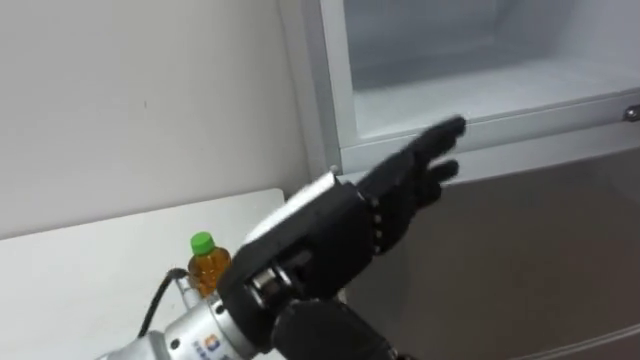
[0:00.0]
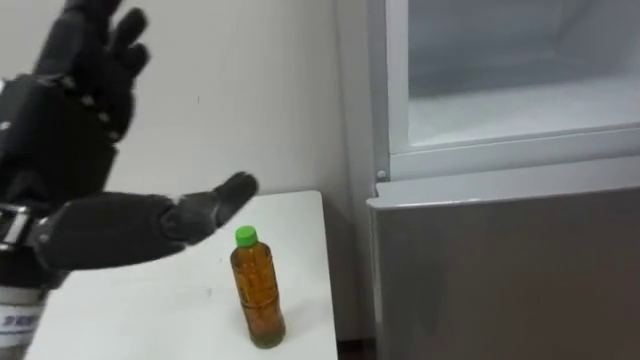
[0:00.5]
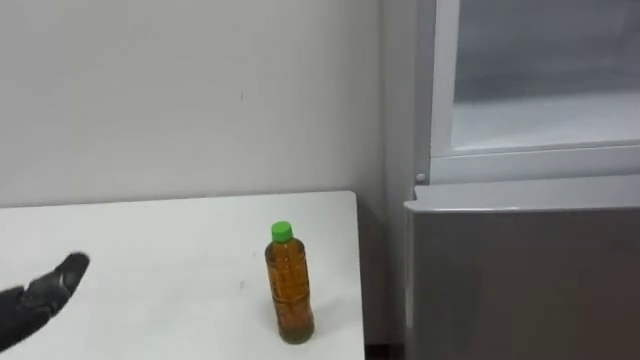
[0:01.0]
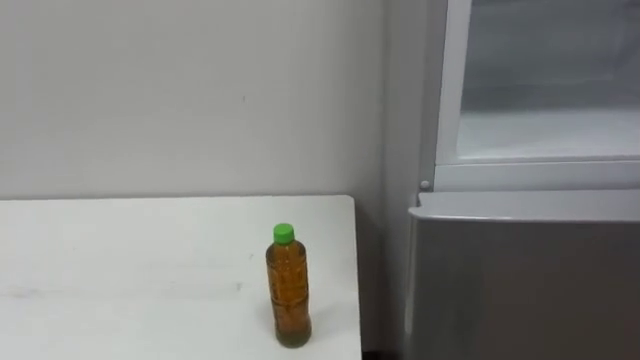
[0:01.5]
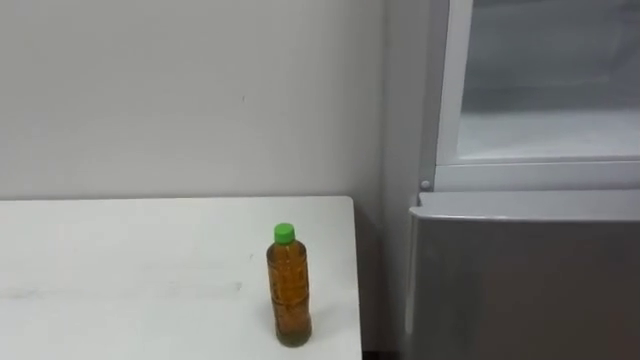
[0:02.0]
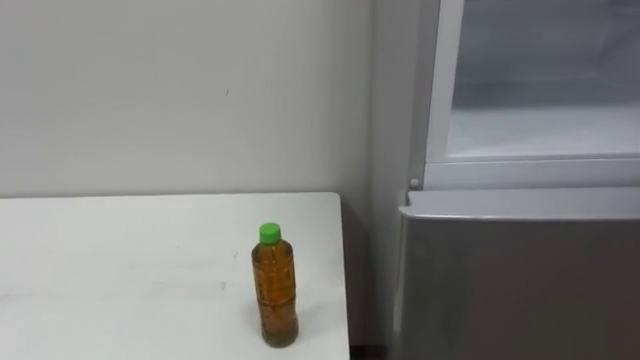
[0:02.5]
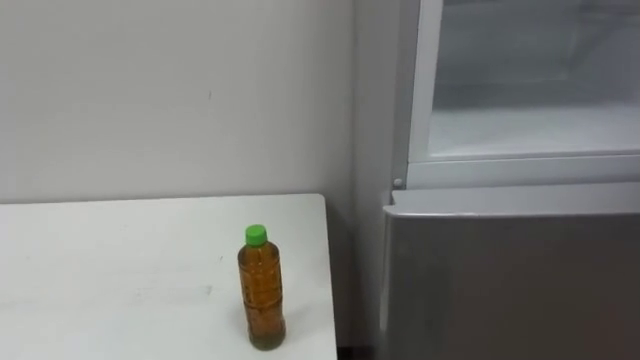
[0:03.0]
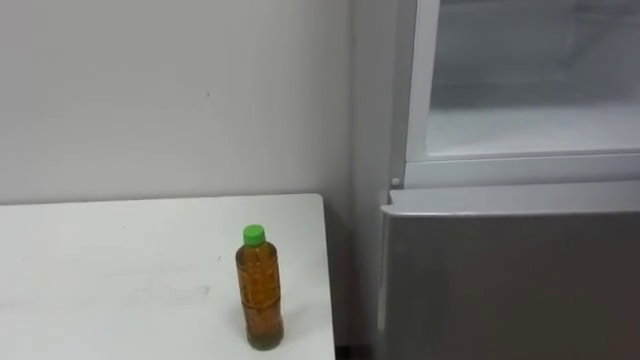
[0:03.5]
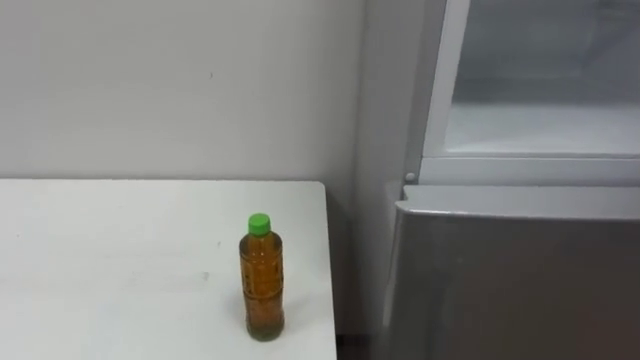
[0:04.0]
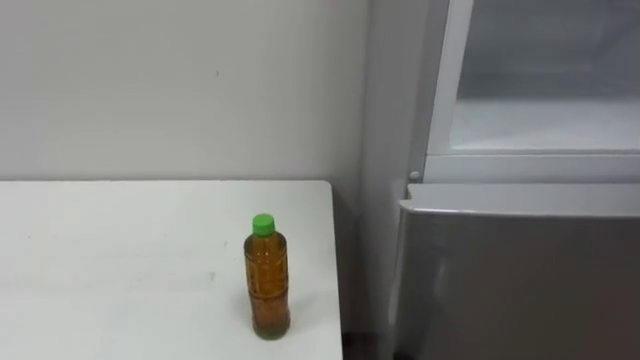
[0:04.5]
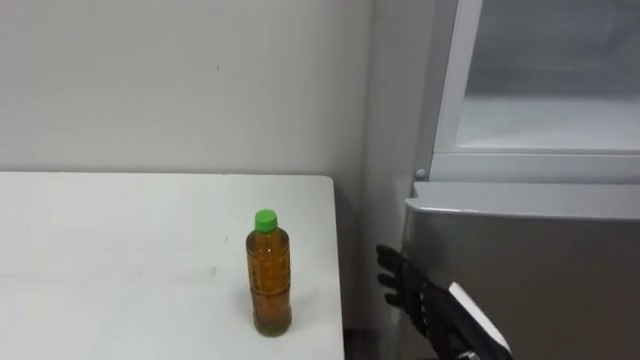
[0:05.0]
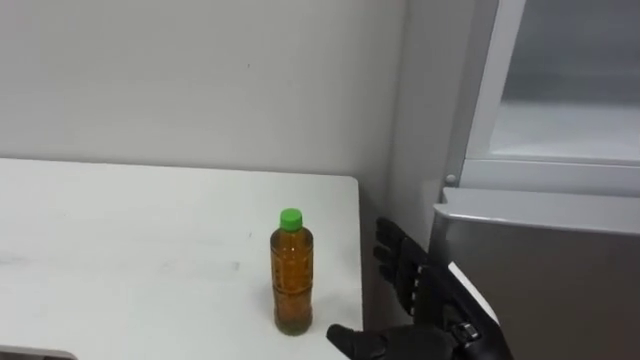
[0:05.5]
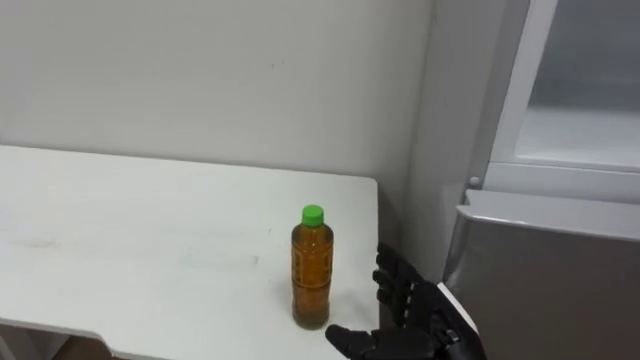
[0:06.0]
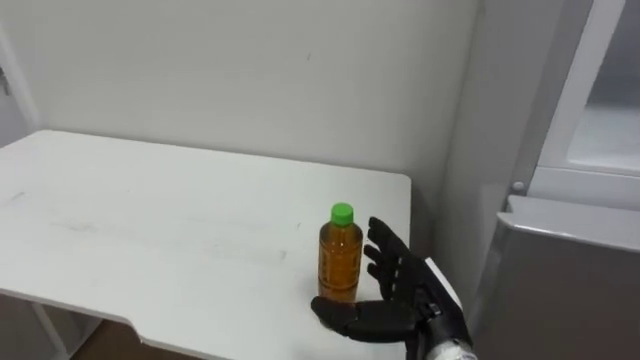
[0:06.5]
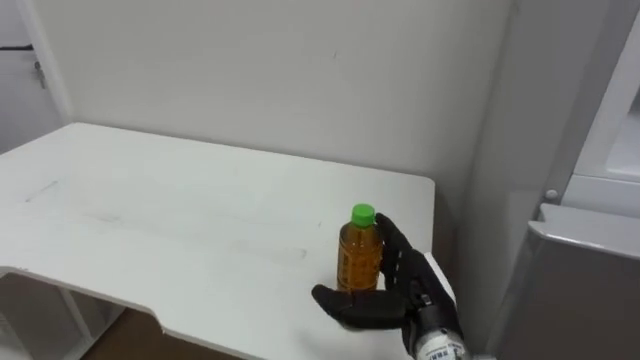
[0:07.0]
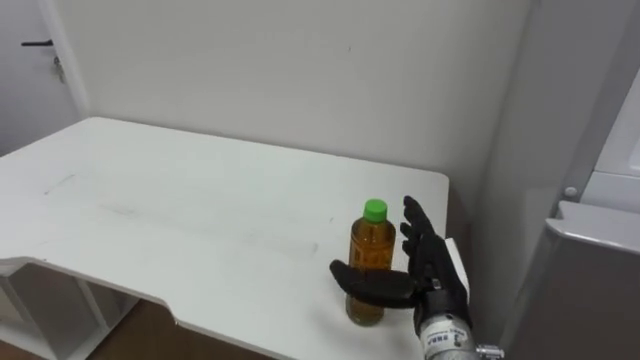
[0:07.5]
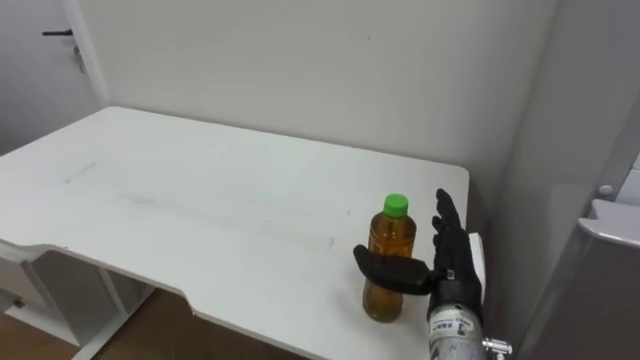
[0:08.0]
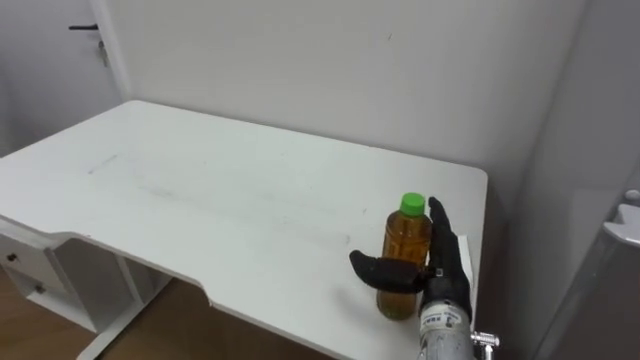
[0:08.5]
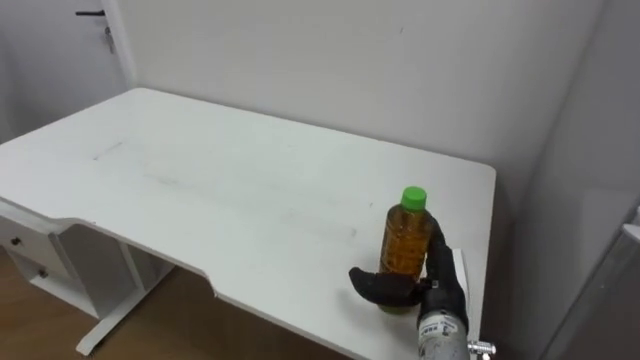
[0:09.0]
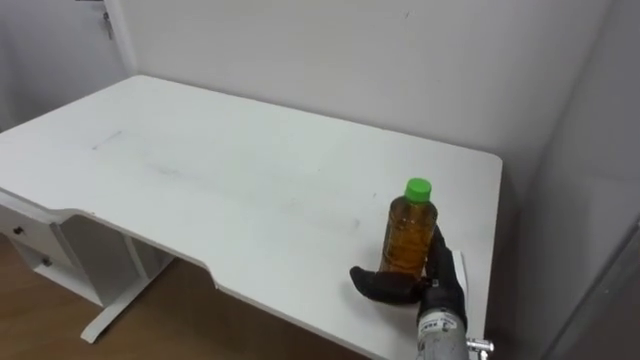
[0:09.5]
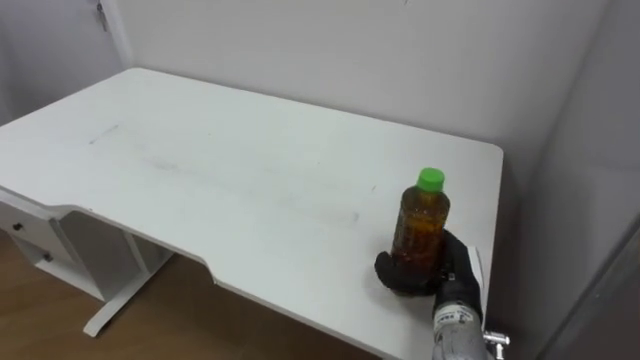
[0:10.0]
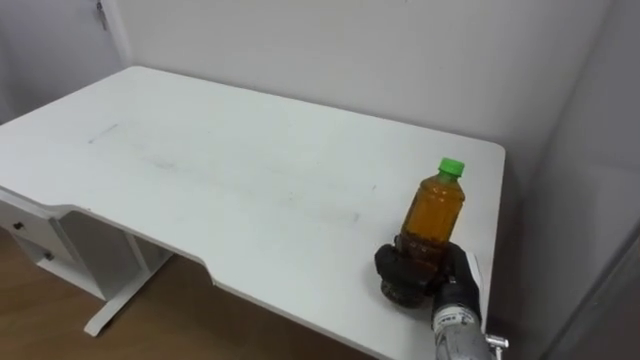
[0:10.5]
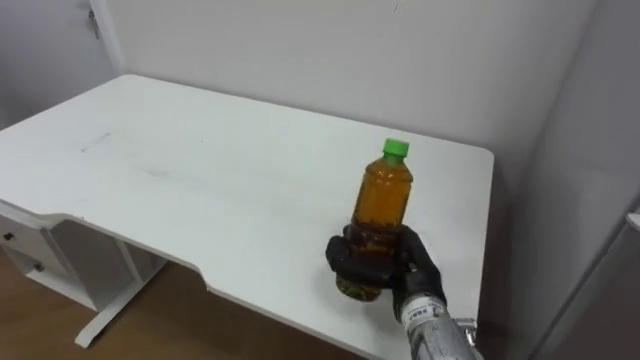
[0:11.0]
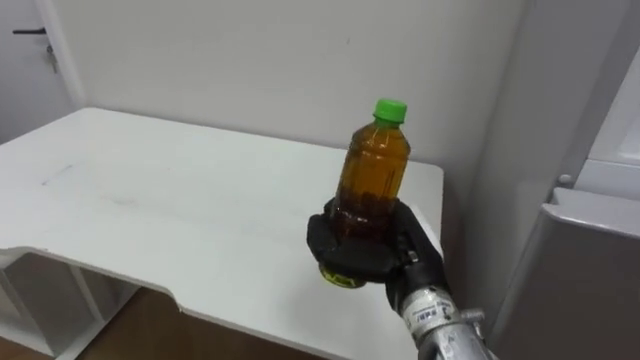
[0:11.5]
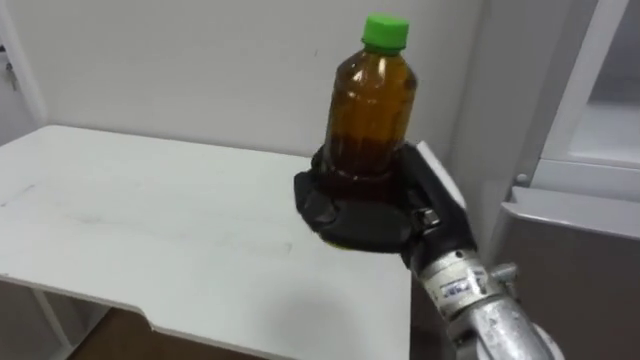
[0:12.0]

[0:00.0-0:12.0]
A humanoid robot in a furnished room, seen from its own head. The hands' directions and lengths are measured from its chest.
Task of the whole recording: Open the upper refrigerator door, put the drink from the table into the refrigerator, and then close the refrigerator door.
0:06.0 to 0:08.0: The right hand shifts by approximately 5 cm.
0:08.0 to 0:10.0: The right hand changes place by approximately 5 cm.
0:10.0 to 0:12.0: The right hand moves upward and to the left, roughly 20 cm, and closes.

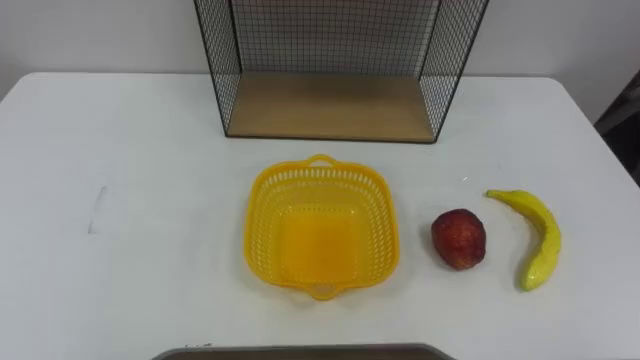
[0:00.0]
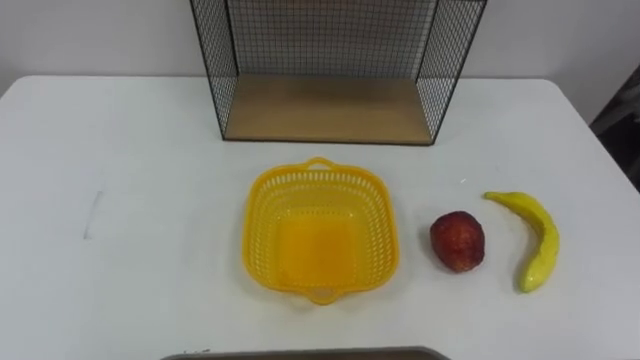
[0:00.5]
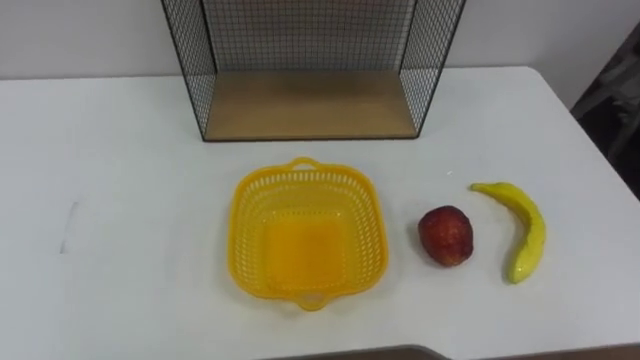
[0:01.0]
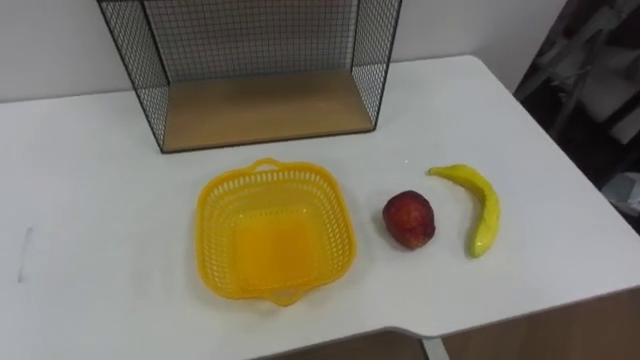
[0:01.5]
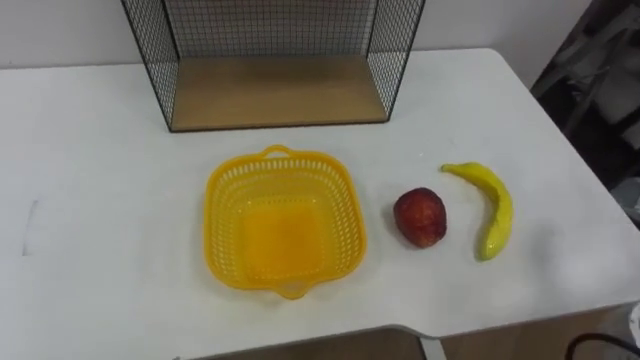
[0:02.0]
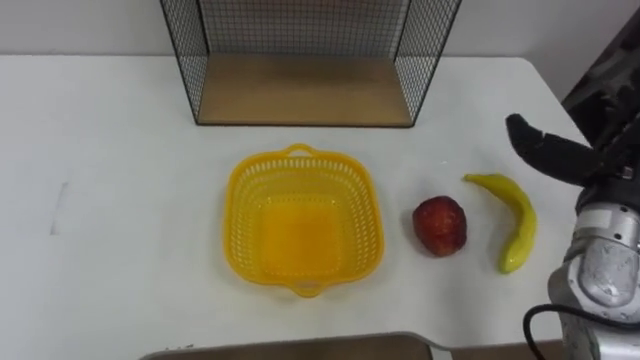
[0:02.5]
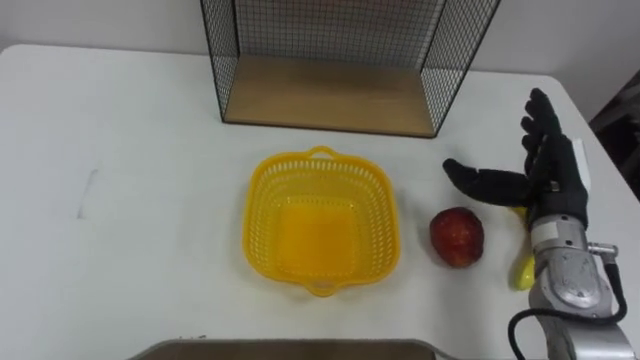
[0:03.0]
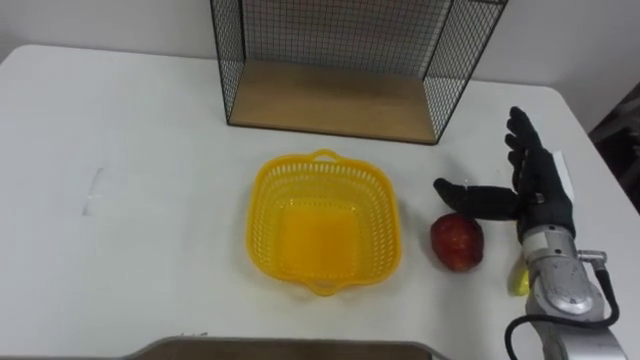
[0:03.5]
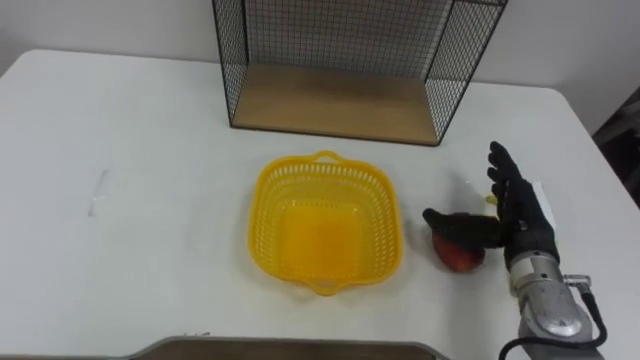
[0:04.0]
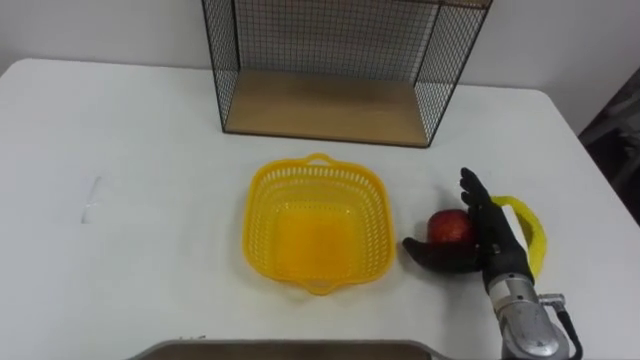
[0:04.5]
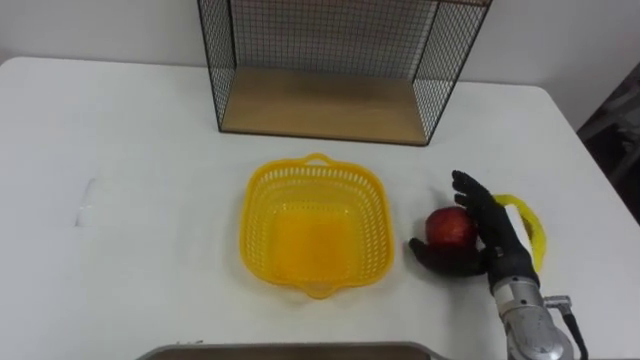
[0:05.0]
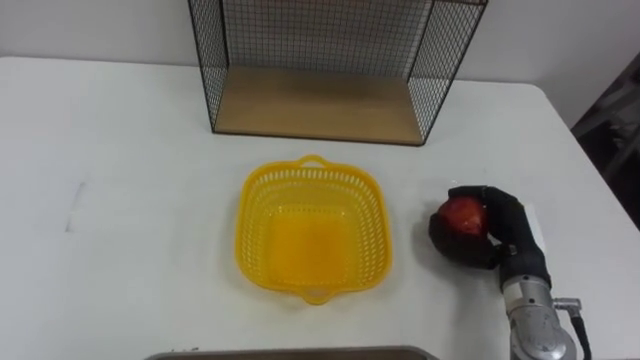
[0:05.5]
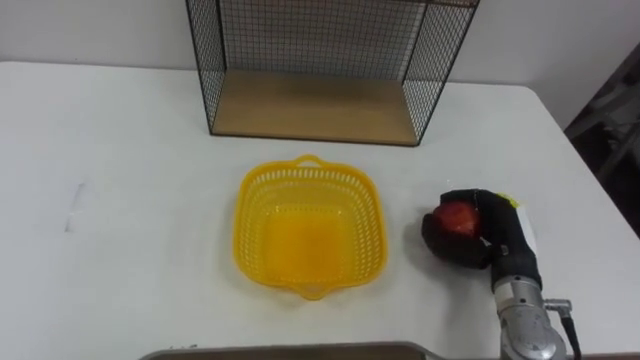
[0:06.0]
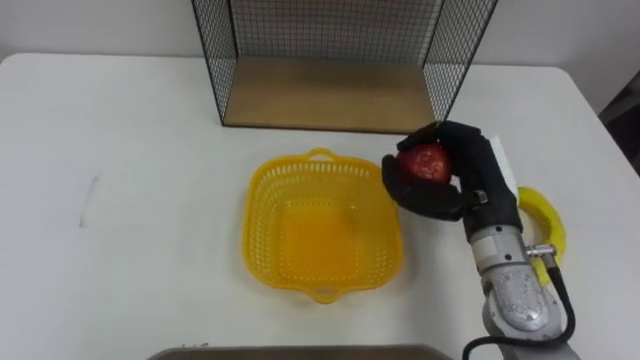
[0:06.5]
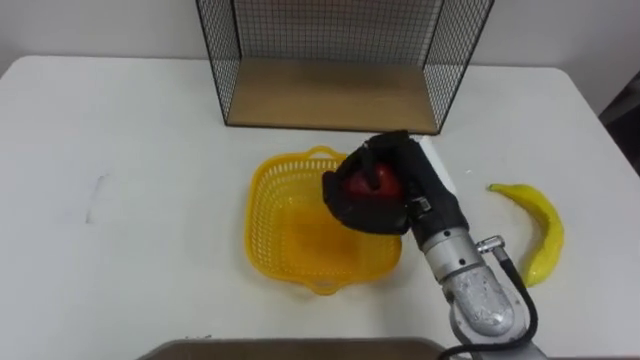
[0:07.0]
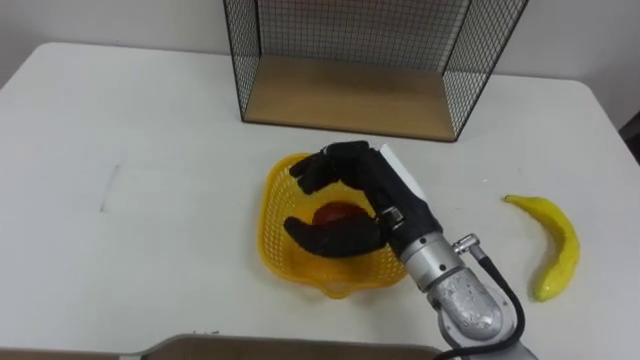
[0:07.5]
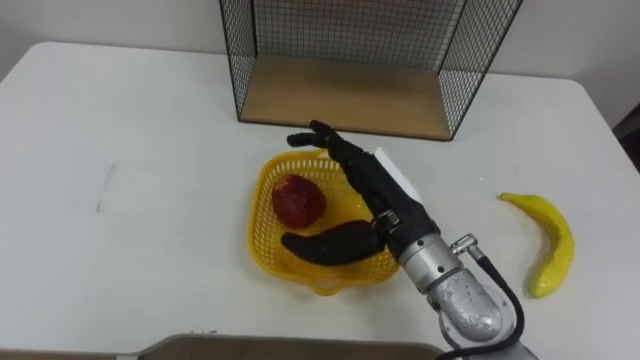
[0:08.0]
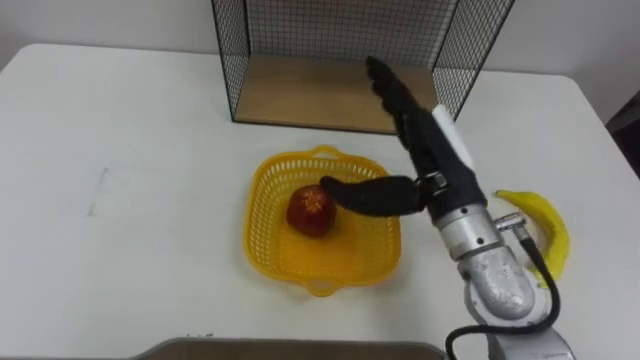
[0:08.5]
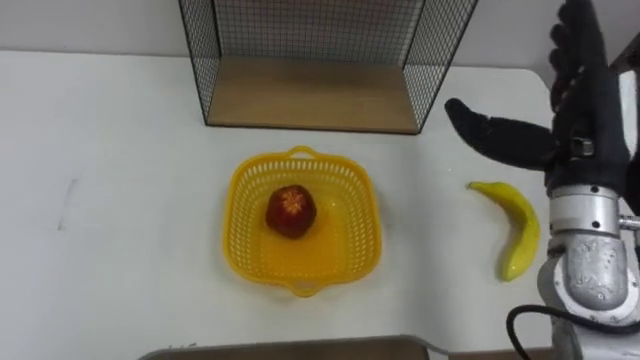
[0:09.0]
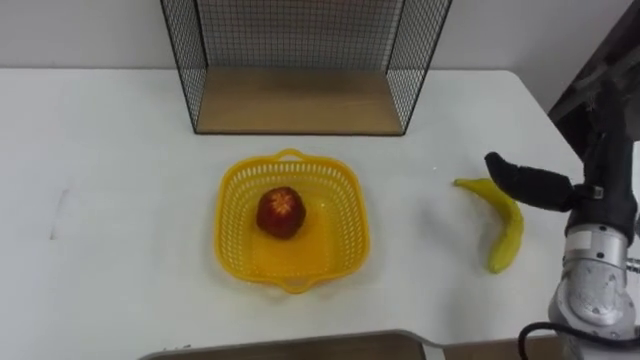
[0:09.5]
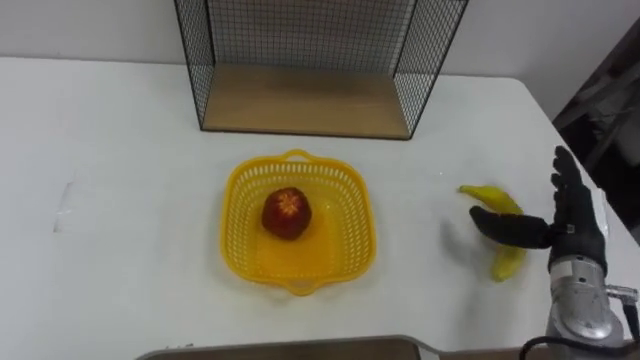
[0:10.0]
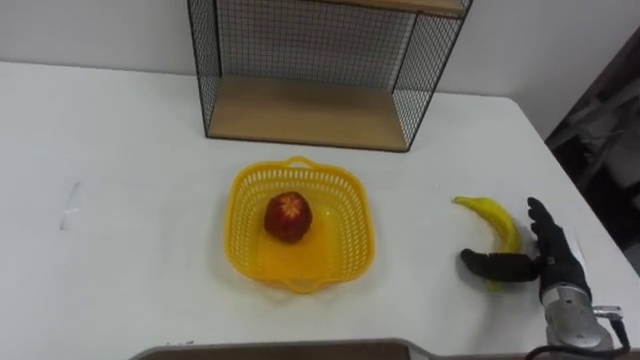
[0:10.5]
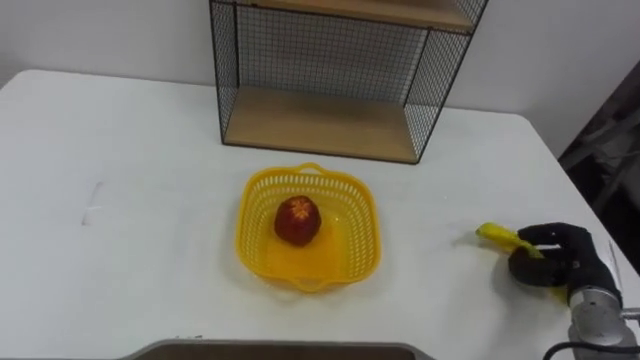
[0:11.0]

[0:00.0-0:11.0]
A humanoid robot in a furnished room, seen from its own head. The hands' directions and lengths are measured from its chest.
Task of the whole recording: Put the fruit on the table into the basket, then place the basket on the shelf.
0:03.5 to 0:05.5: The right hand goes approximately 5 cm downward, and closes up.
0:05.5 to 0:07.5: The right hand goes about 20 cm to the left and upward.
0:07.5 to 0:09.0: The right hand goes some 20 cm to the right and upward, and opens.
0:09.0 to 0:11.0: The right hand shifts roughly 25 cm downward and to the right, and closes its fingers.
